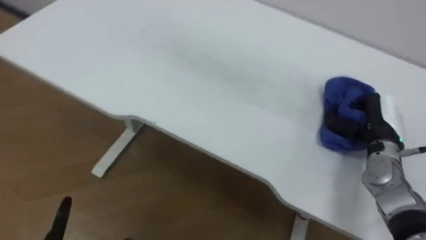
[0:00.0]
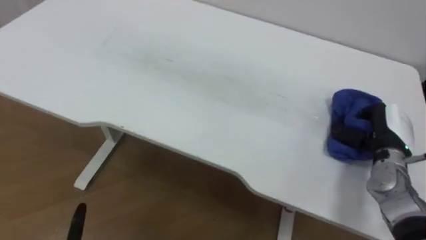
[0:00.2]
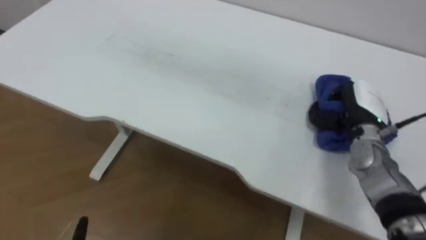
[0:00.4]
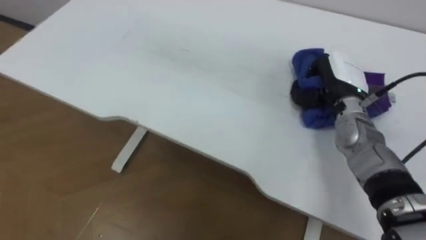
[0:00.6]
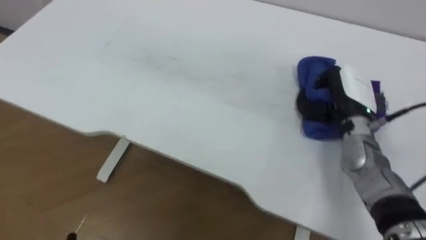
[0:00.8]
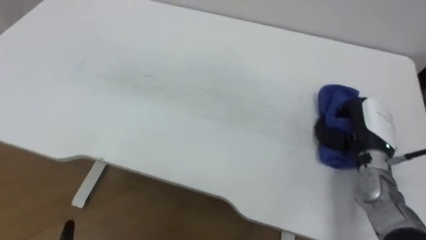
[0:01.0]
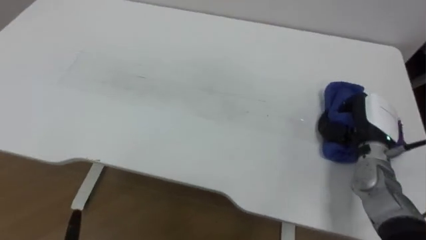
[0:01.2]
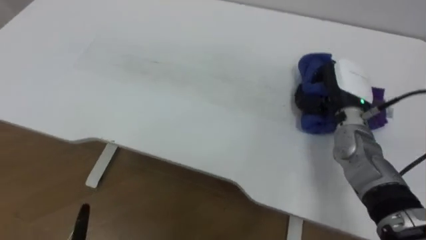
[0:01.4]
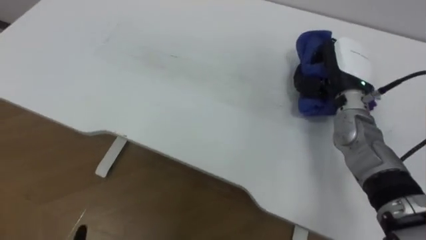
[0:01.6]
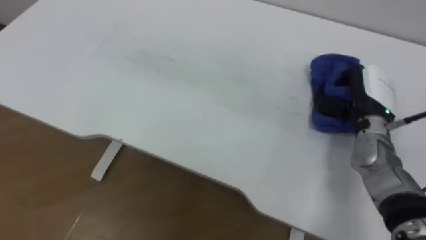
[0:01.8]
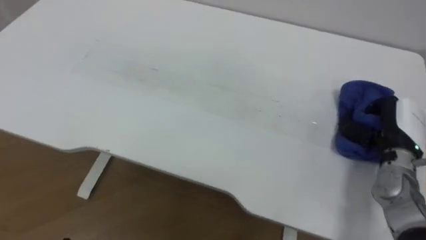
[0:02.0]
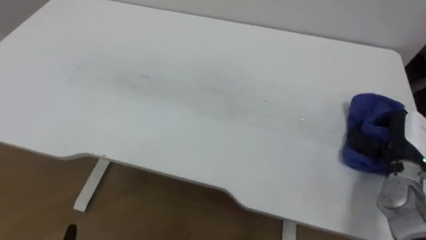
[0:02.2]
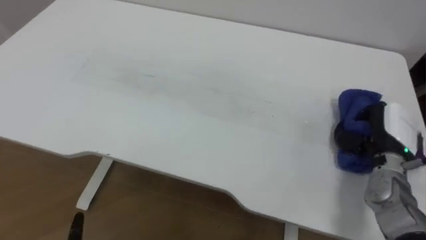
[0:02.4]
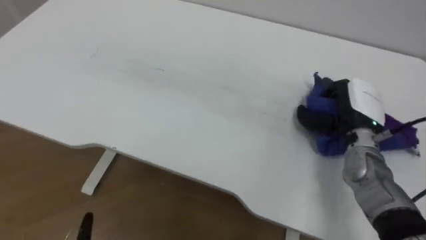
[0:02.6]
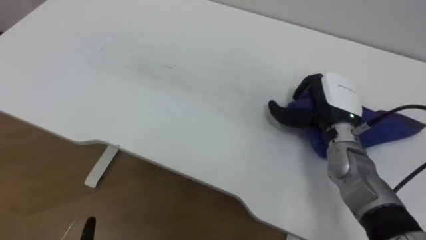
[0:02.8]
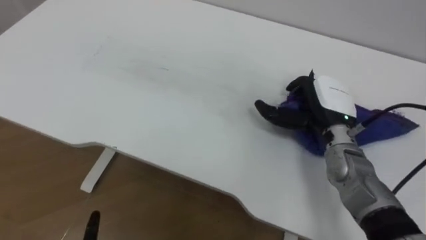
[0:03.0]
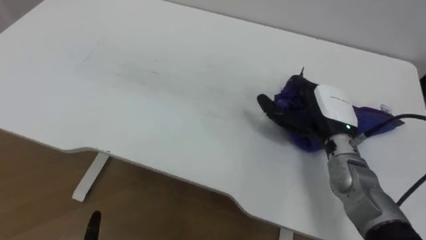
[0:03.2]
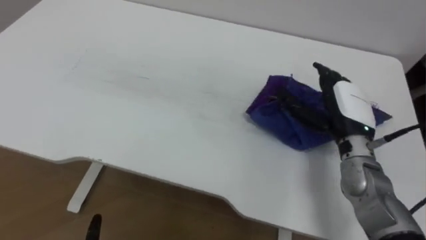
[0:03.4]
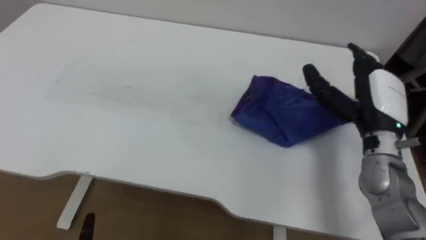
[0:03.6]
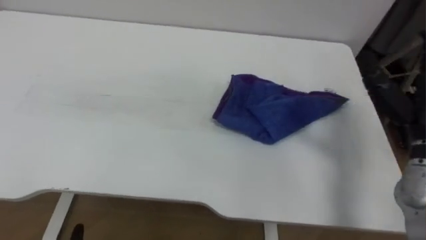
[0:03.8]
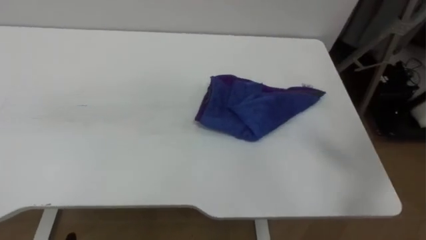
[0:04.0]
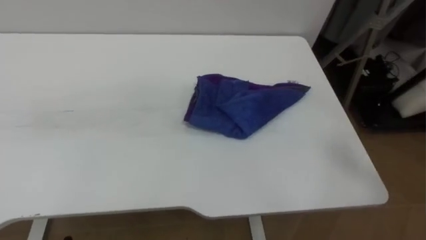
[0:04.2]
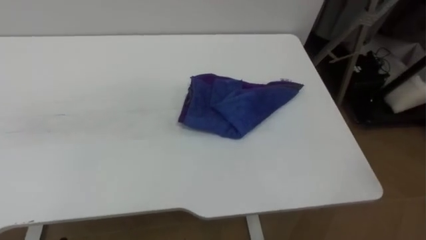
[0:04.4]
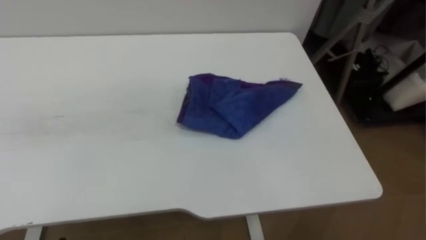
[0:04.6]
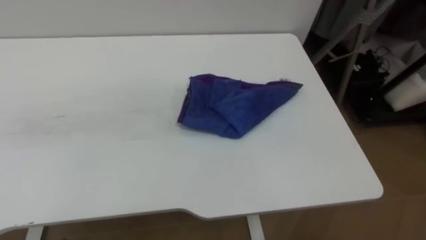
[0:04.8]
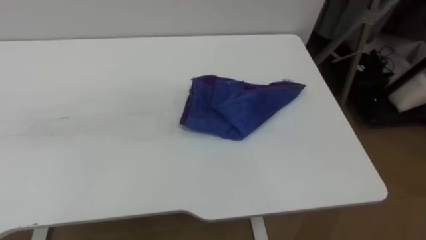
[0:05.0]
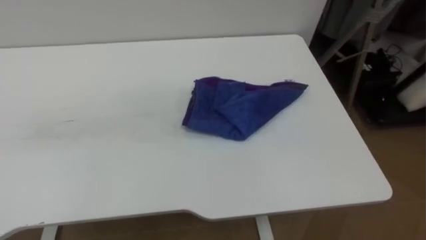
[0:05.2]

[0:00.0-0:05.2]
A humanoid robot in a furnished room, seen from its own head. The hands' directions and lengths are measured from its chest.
Task of the whole recording: Wipe the blue pen marks off the table with the rag.
0:00.0 to 0:01.8: The right hand swings up and down, some 10 cm each way, with 3 reversals.
0:01.8 to 0:03.4: The right hand travels to the left and back again, about 5 cm each way, and opens up.

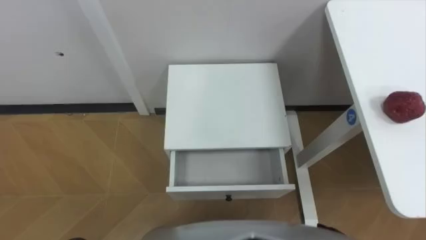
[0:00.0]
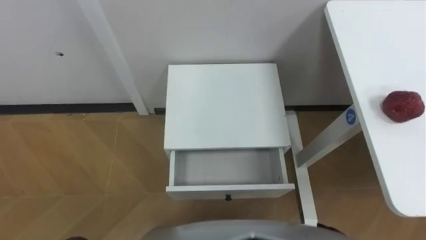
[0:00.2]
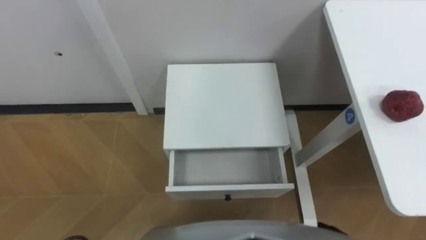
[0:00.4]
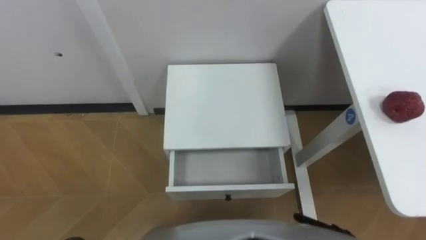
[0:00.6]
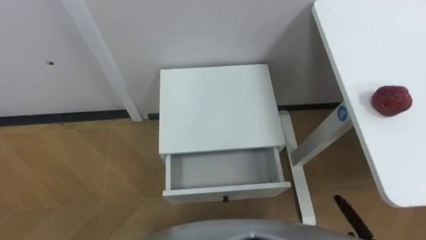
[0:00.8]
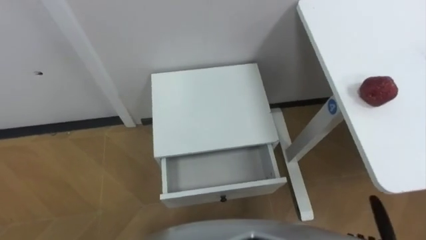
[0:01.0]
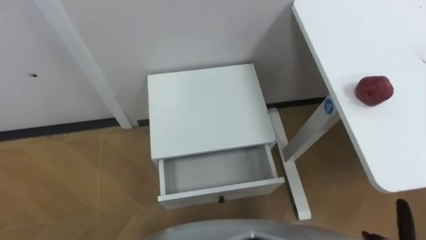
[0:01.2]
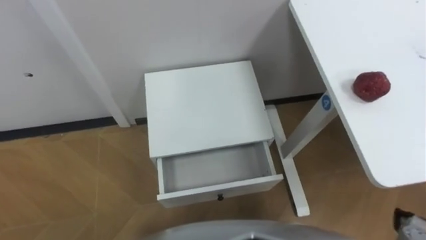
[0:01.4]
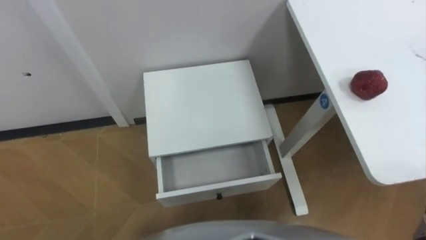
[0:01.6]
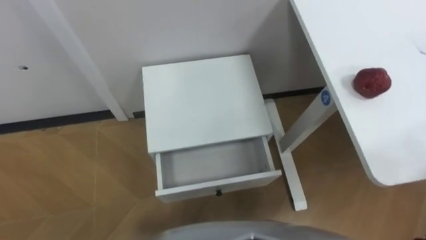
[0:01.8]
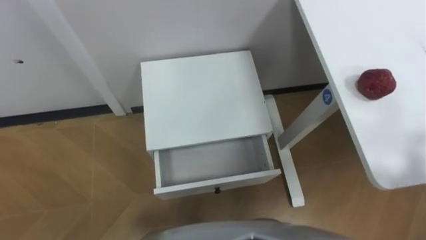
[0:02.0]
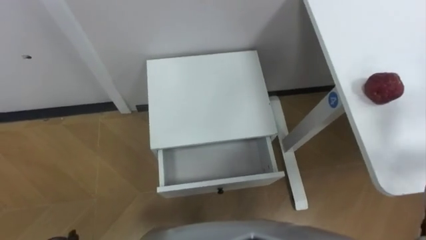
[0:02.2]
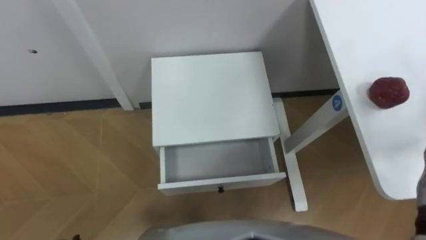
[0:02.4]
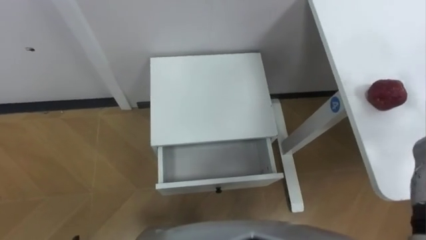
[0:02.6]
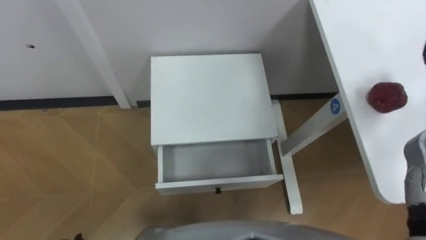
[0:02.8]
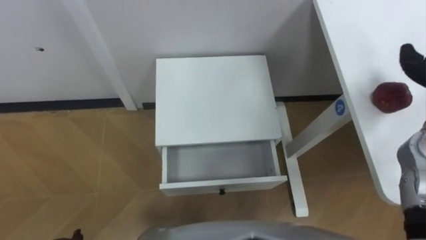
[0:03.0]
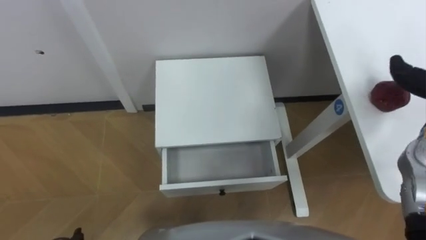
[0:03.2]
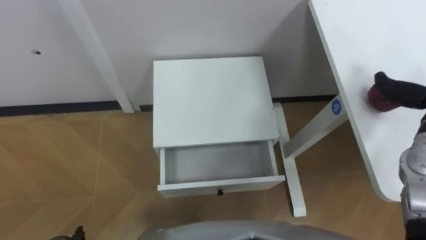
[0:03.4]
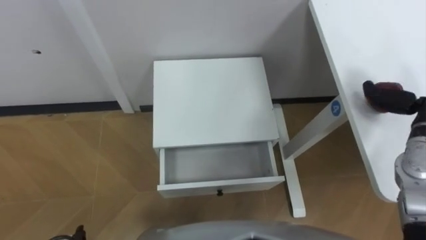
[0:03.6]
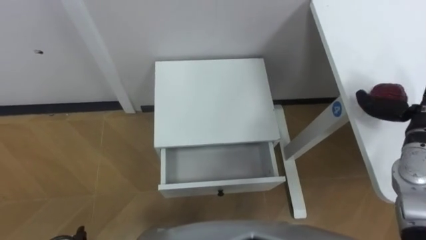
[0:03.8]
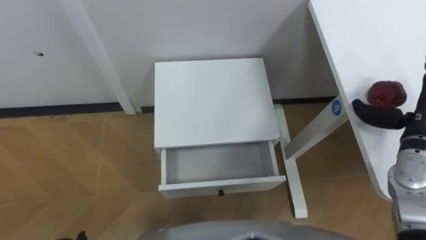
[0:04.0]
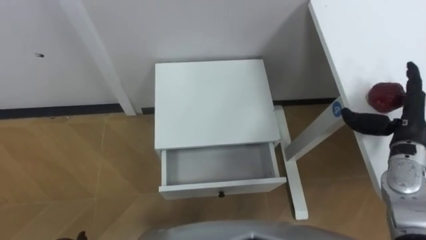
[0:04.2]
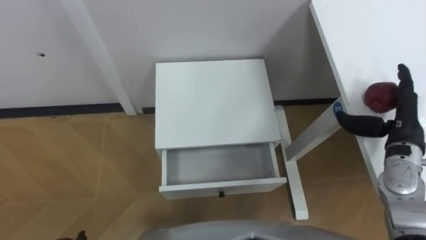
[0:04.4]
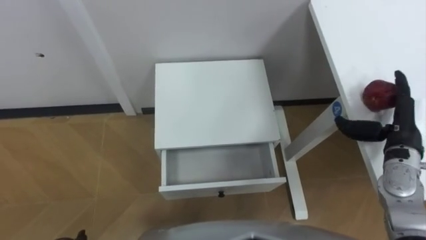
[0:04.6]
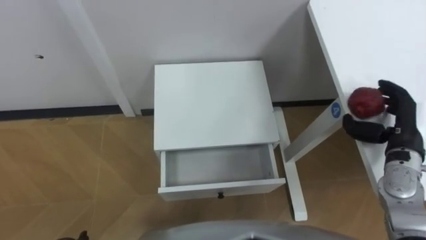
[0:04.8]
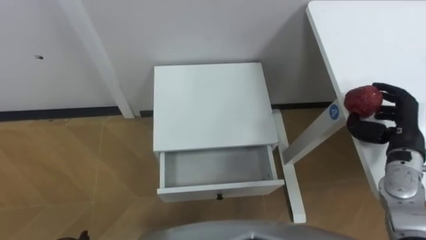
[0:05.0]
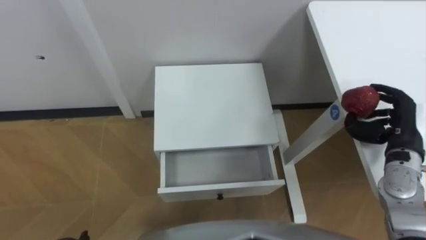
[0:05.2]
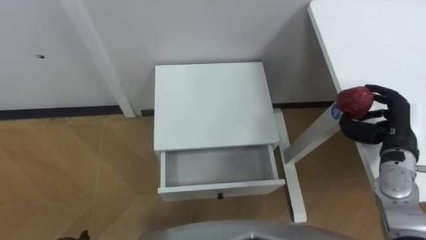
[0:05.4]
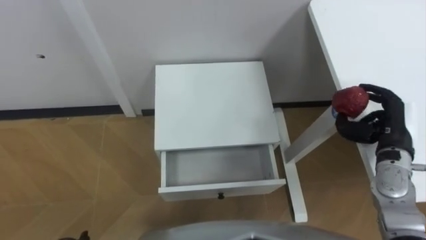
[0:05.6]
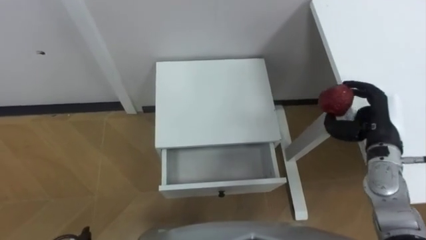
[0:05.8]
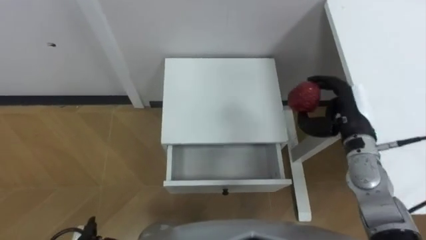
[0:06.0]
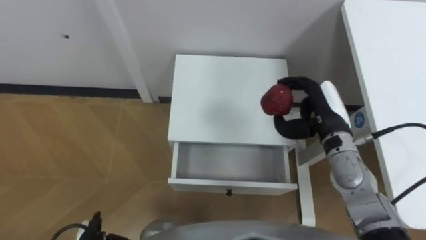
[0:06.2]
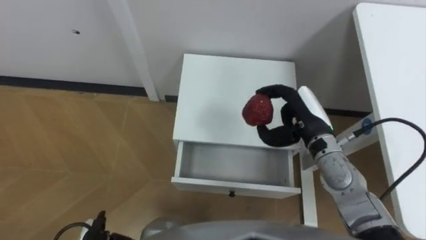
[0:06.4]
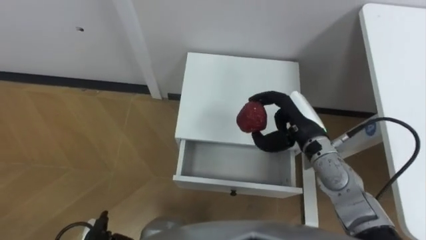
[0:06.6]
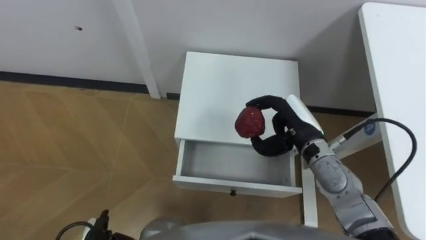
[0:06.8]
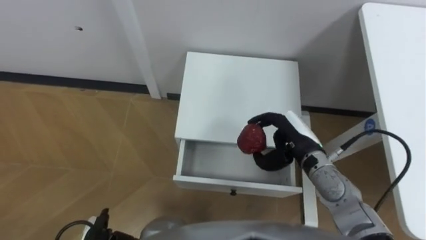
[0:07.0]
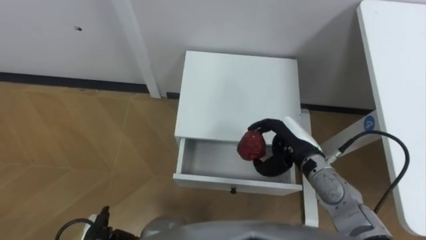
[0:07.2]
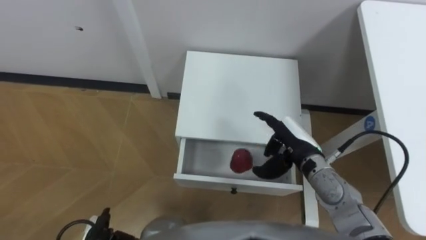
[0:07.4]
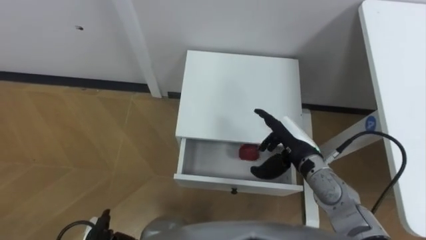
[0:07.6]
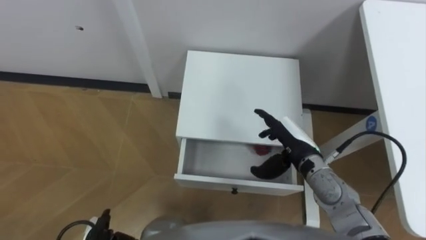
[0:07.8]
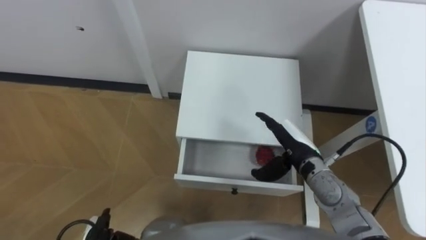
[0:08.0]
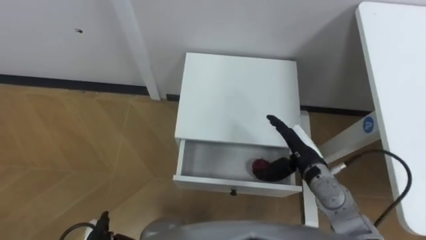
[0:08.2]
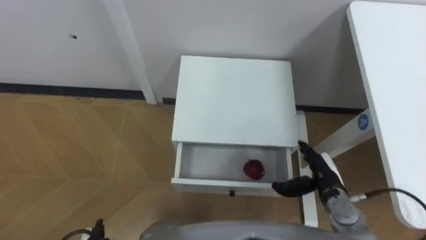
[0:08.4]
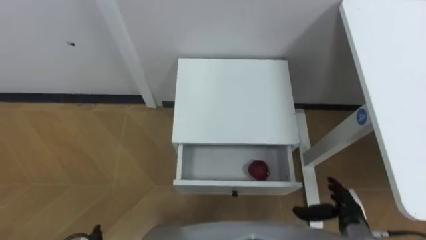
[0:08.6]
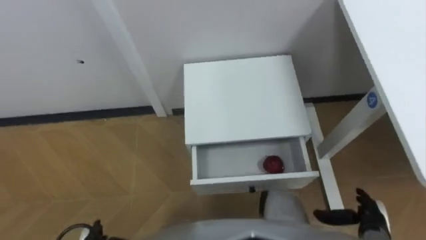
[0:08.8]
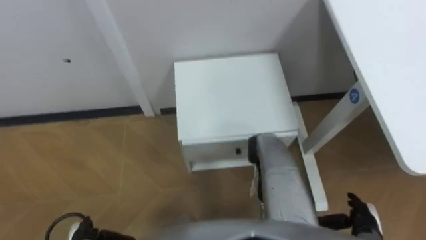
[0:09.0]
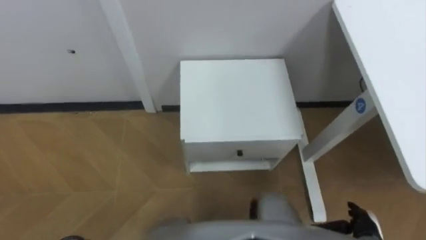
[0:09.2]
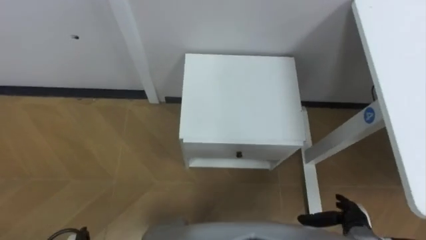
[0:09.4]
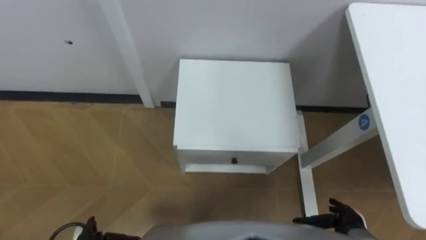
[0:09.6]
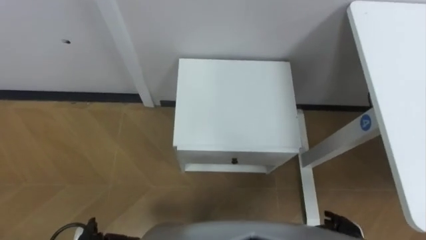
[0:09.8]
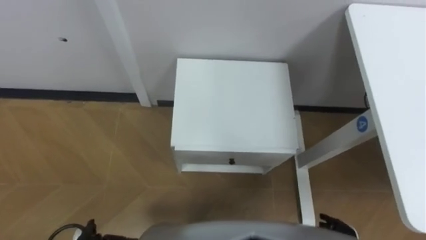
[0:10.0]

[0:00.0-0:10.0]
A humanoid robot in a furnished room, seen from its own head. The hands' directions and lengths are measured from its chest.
Task of the whole recording: Pick up the apple from the table, put it in the drawer, and close the drawer with leg.
0:04.2 to 0:05.8: The right hand closes its fingers.
0:05.8 to 0:07.2: The right hand goes about 15 cm to the left.
0:07.2 to 0:08.6: The right hand shifts about 20 cm backward, to the right and downward, and opens.
0:08.6 to 0:10.0: The right hand travels backward by roughly 5 cm.

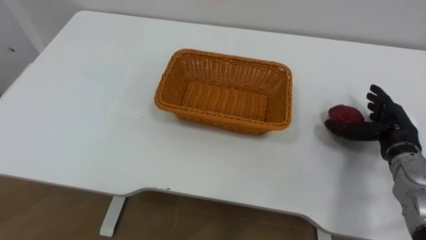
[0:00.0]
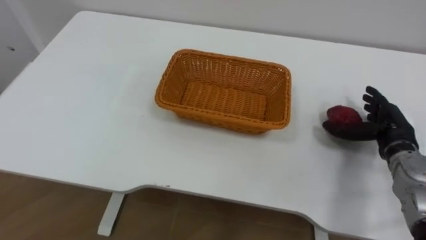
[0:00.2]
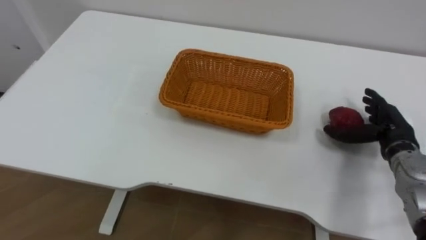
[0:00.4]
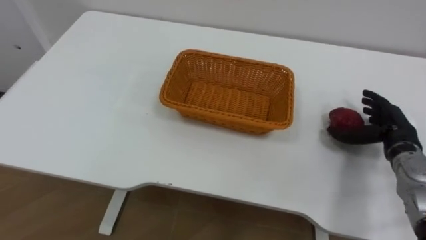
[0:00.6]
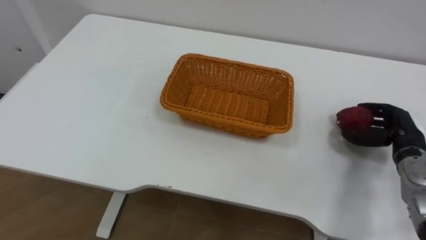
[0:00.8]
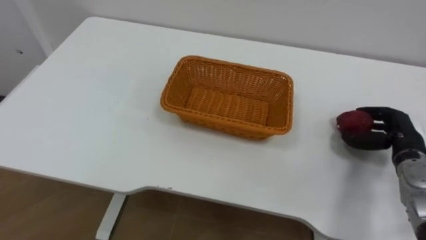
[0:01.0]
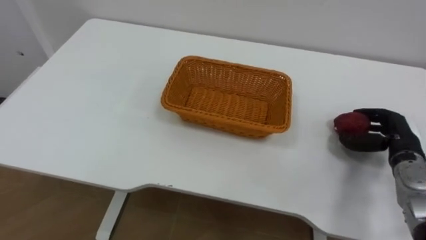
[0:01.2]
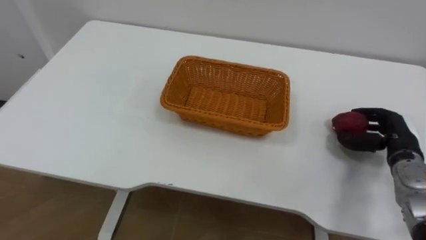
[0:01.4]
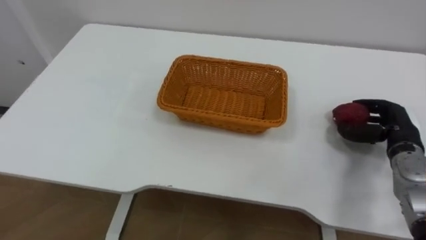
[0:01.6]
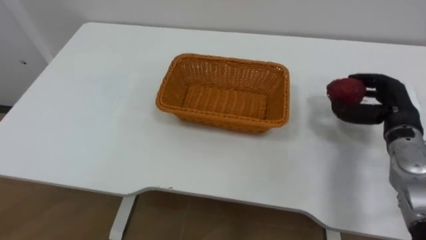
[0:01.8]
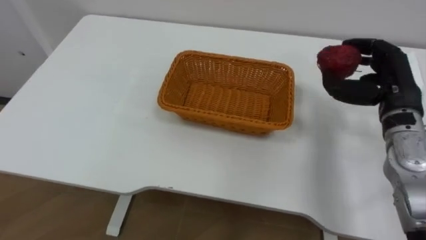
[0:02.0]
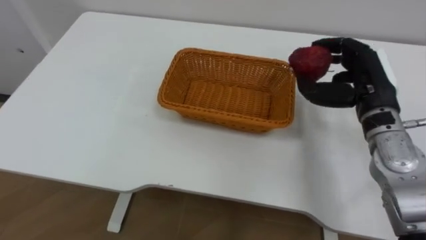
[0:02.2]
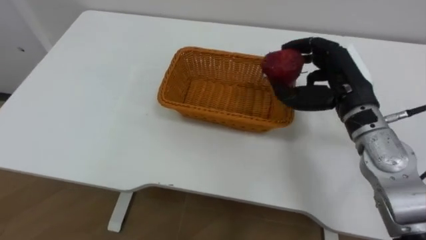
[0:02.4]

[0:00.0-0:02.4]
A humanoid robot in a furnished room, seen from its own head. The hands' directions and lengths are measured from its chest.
Task of the whole recording: Pick the apple and place it in the box.
0:00.0 to 0:01.2: The right hand closes up.
0:01.2 to 0:02.4: The right hand heads upward and to the left, covering roughly 20 cm.
